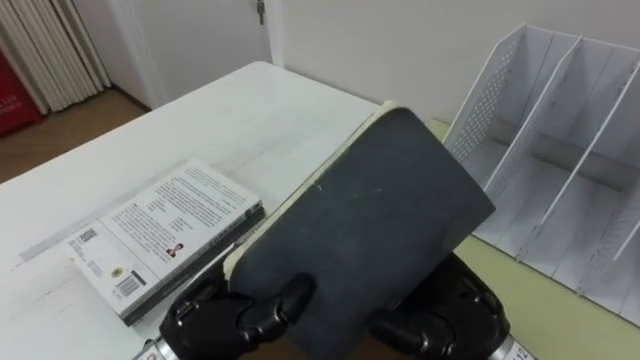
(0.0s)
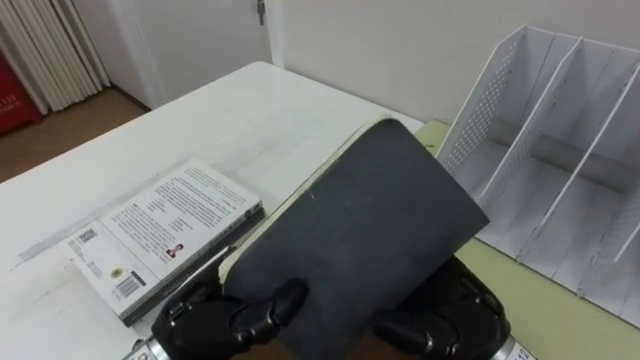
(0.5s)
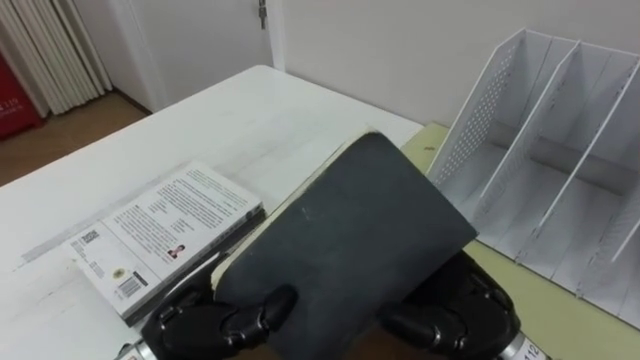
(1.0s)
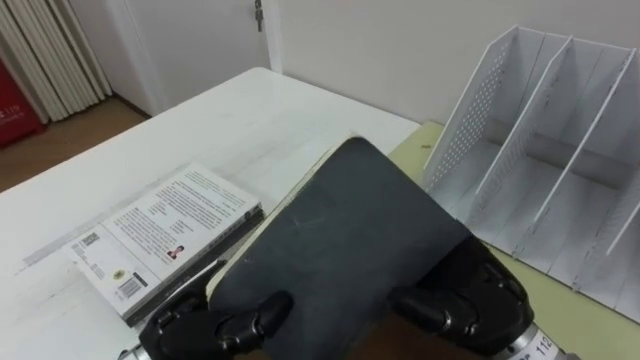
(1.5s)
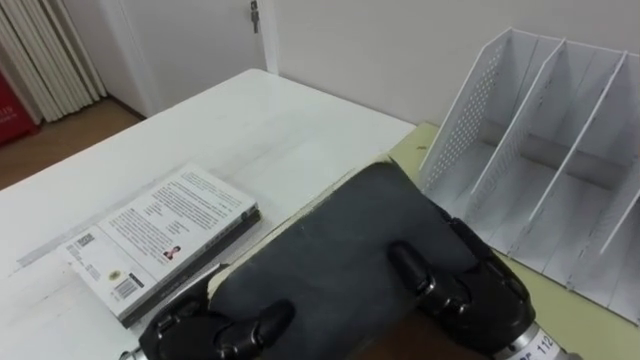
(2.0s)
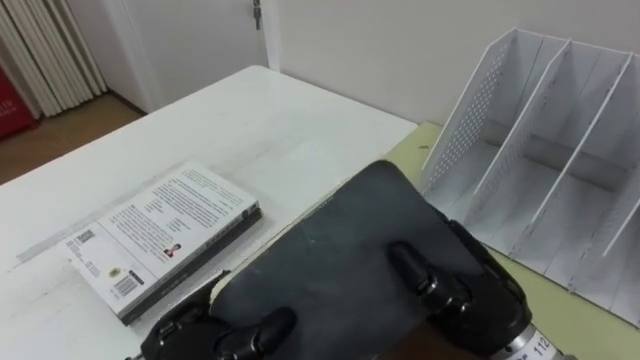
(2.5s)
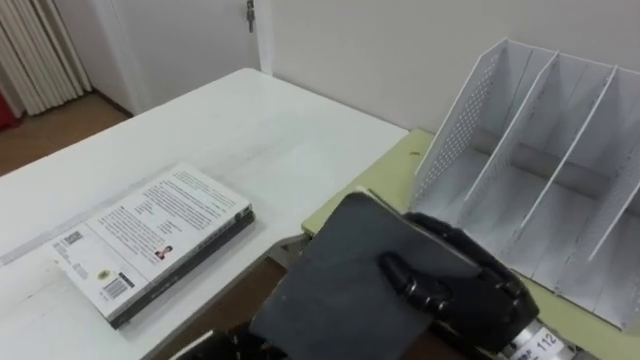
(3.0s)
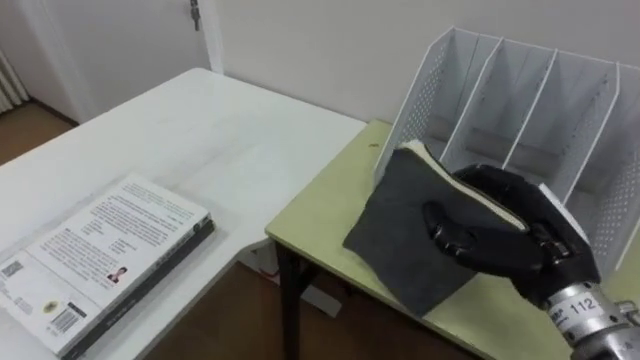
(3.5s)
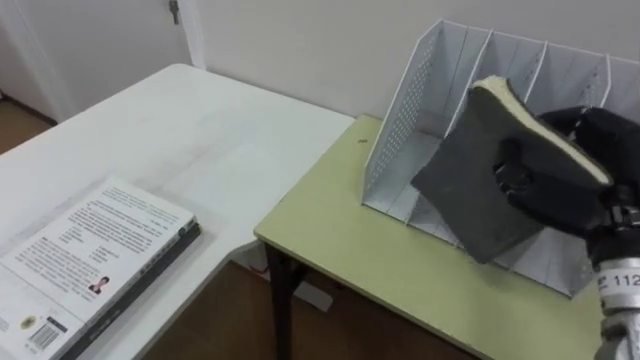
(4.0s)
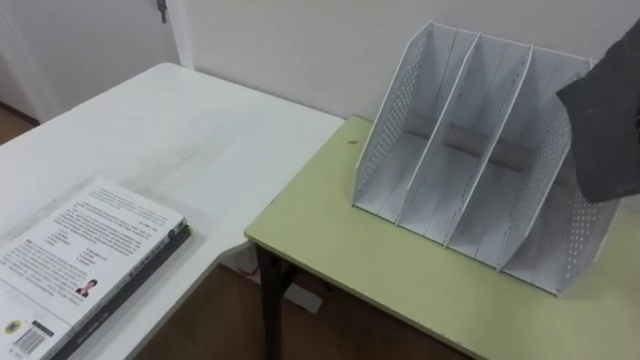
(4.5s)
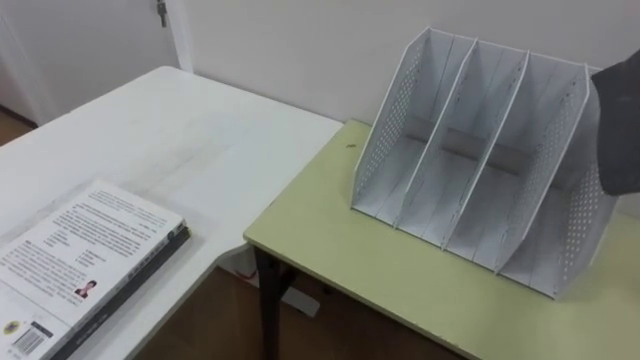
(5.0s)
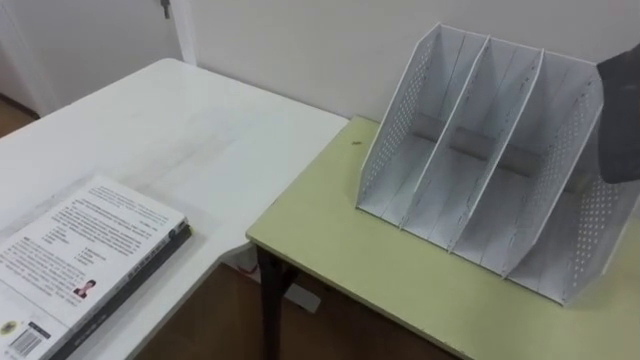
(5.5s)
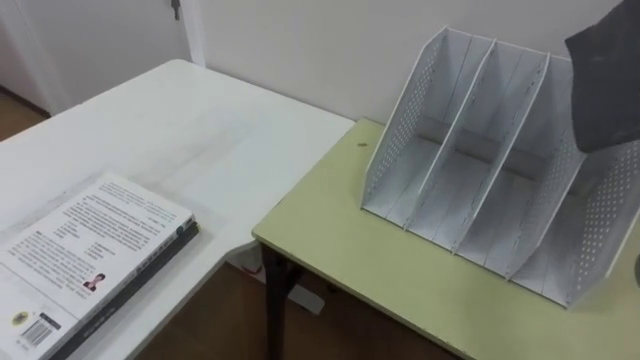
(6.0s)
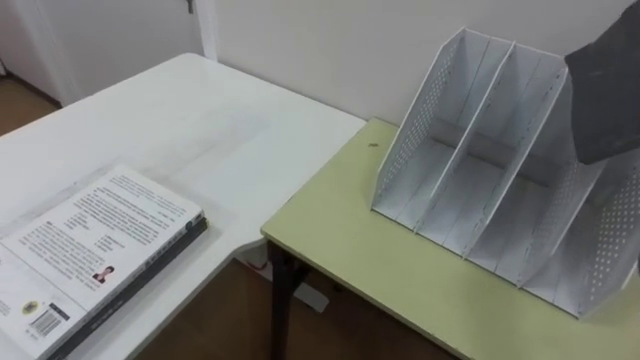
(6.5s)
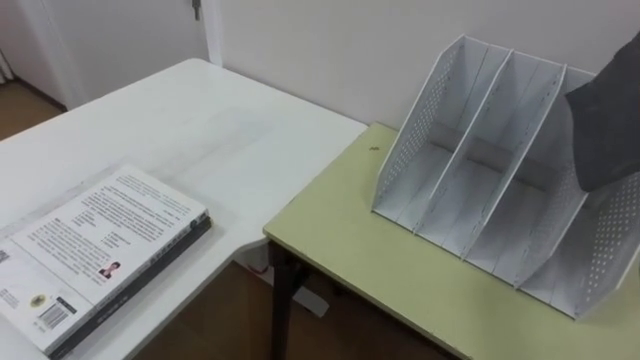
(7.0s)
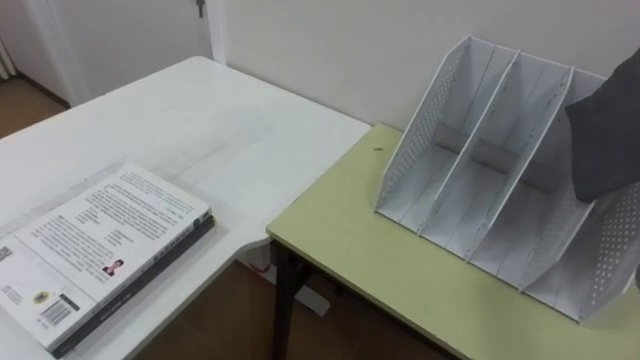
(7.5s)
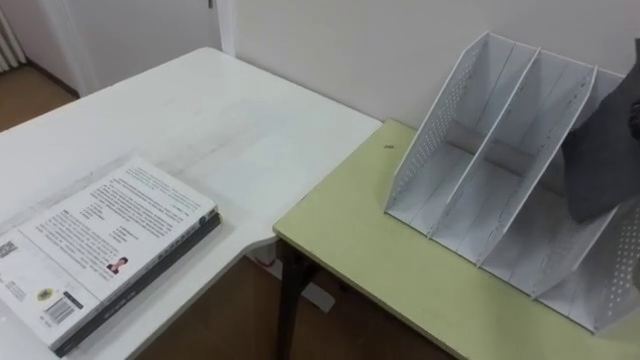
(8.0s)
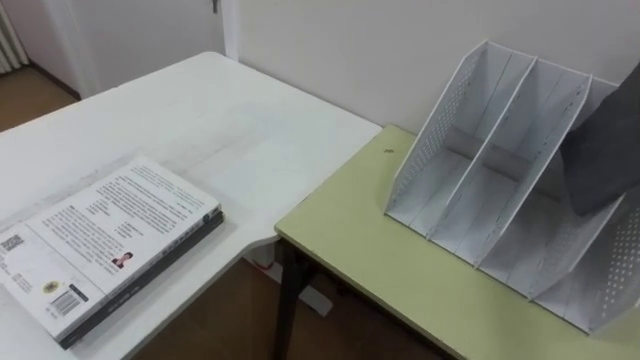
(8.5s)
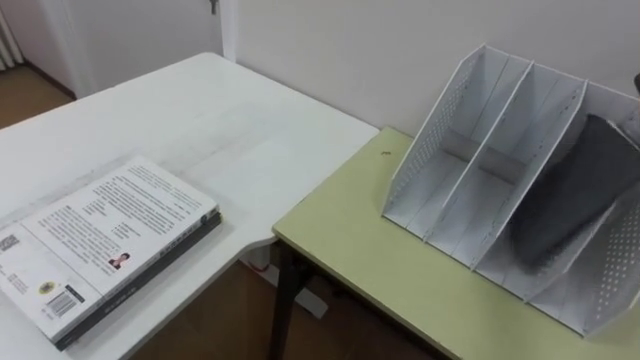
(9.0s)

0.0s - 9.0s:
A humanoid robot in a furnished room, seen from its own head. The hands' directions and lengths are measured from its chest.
Task of the whole recording: Put the books on the table onto the bookshelf.
0.0s - 2.0s: The right hand closes its fingers.

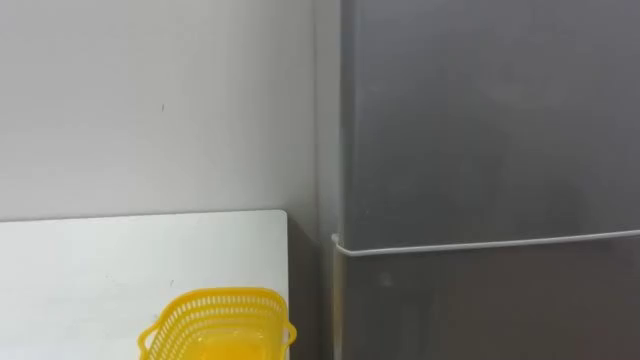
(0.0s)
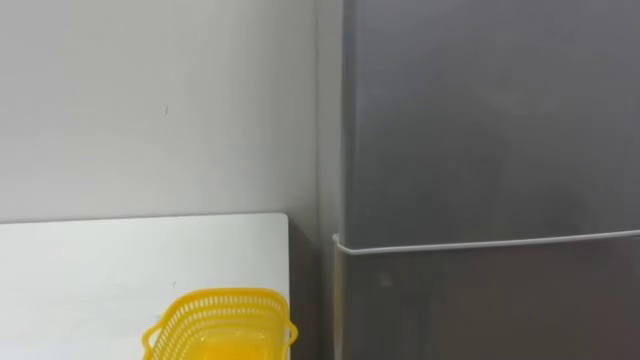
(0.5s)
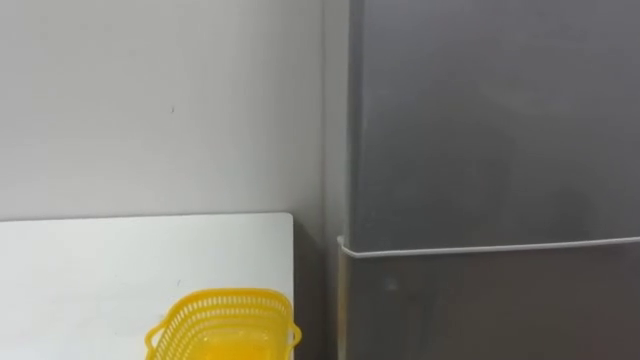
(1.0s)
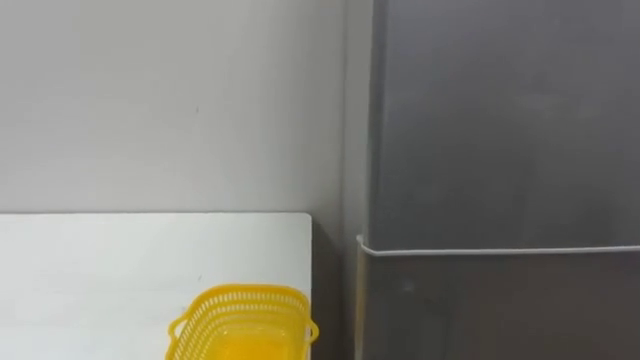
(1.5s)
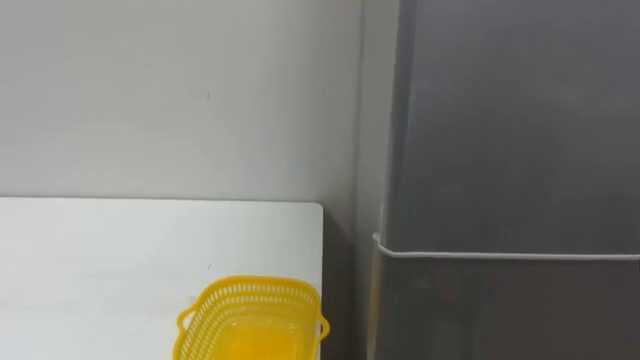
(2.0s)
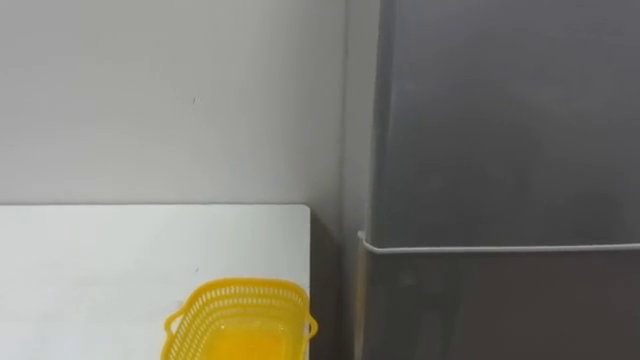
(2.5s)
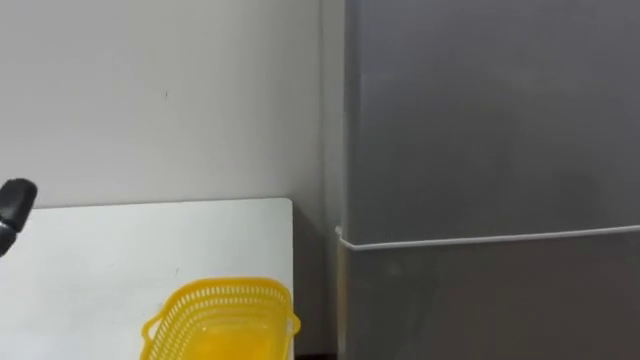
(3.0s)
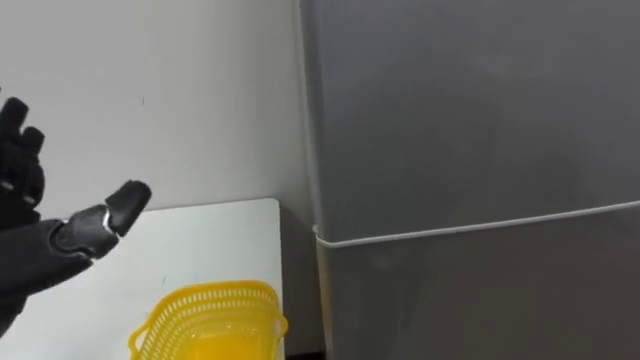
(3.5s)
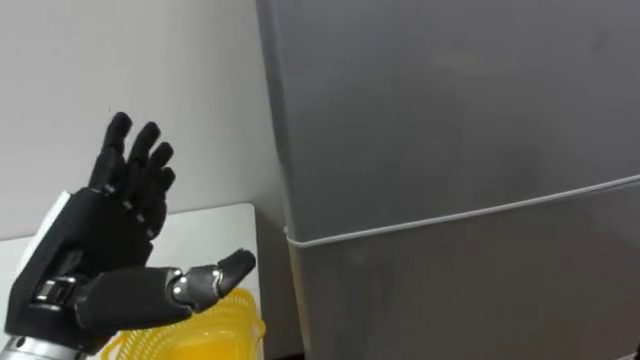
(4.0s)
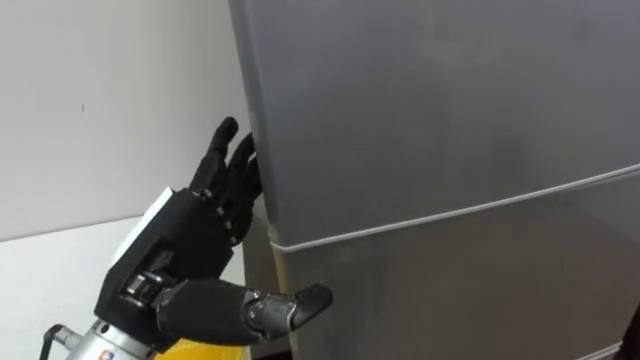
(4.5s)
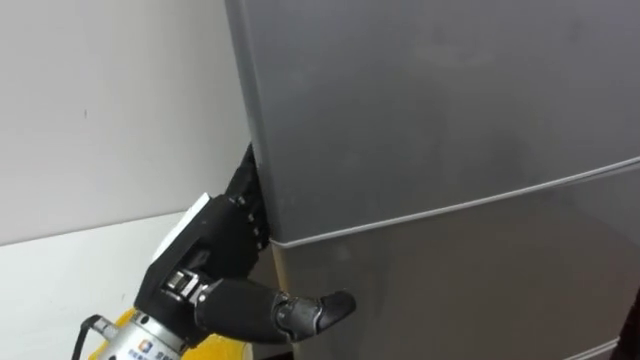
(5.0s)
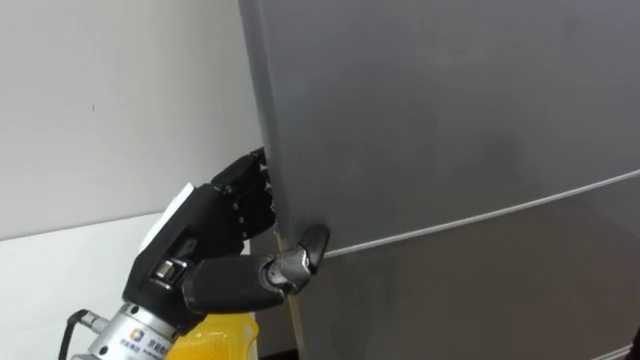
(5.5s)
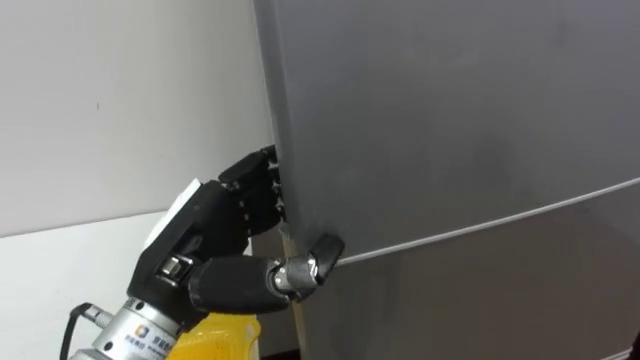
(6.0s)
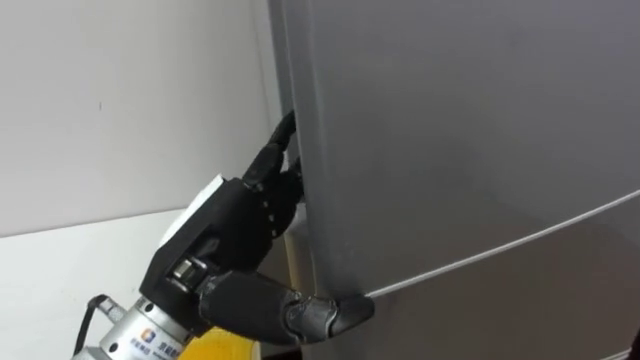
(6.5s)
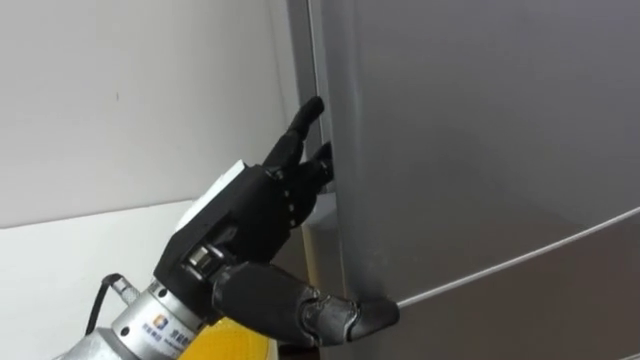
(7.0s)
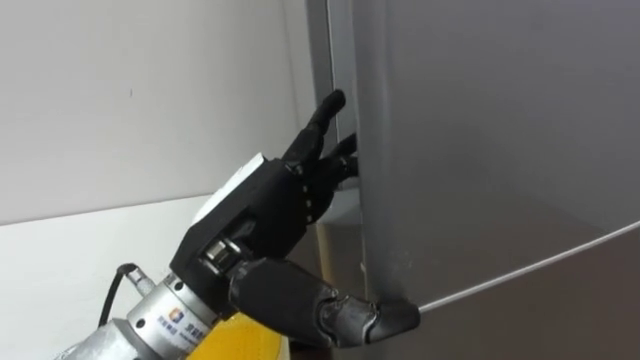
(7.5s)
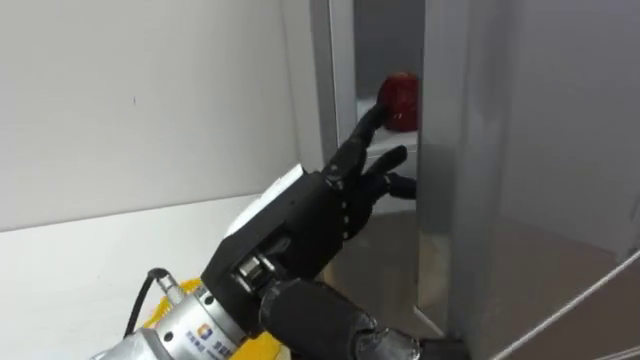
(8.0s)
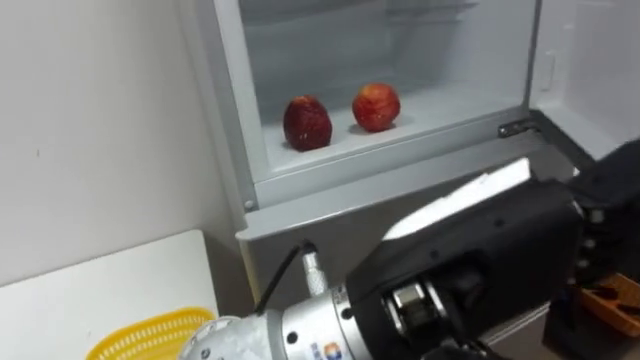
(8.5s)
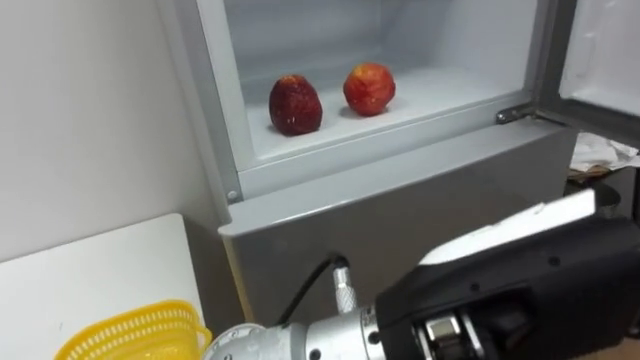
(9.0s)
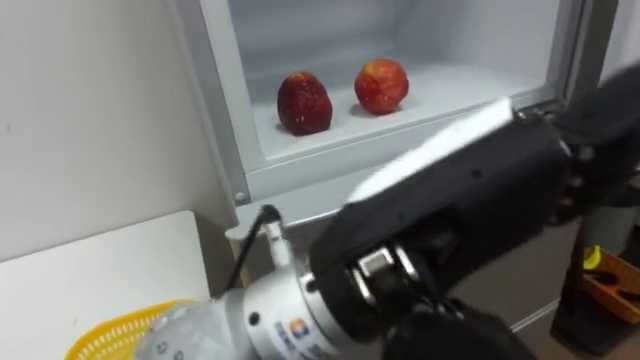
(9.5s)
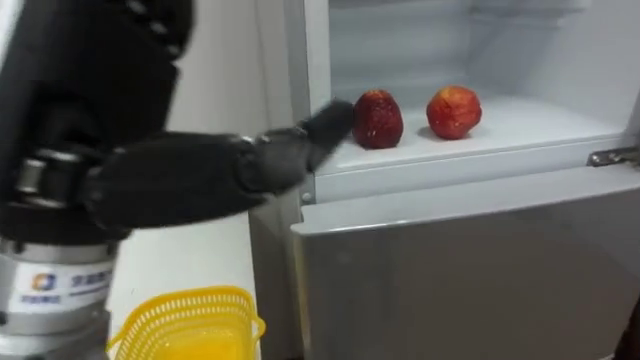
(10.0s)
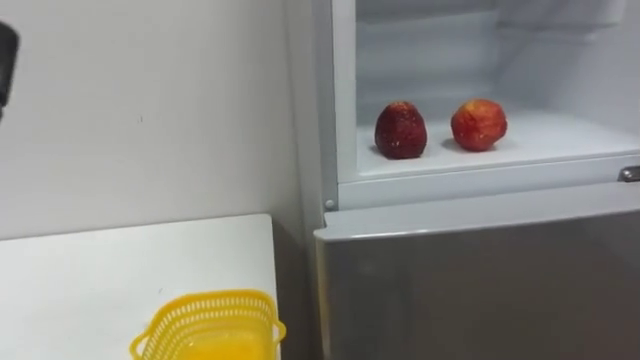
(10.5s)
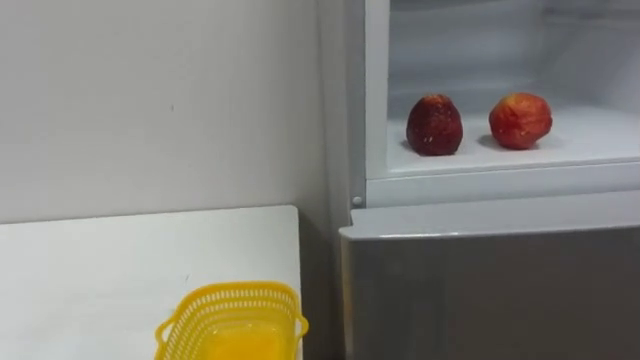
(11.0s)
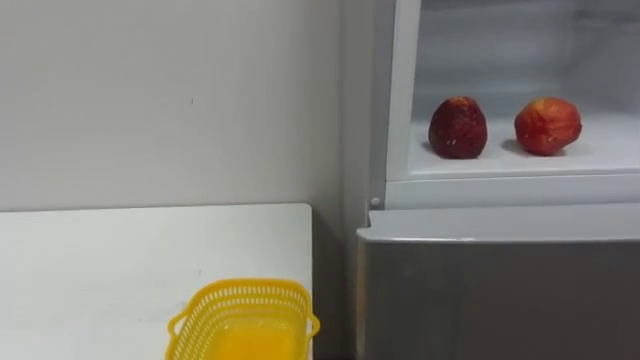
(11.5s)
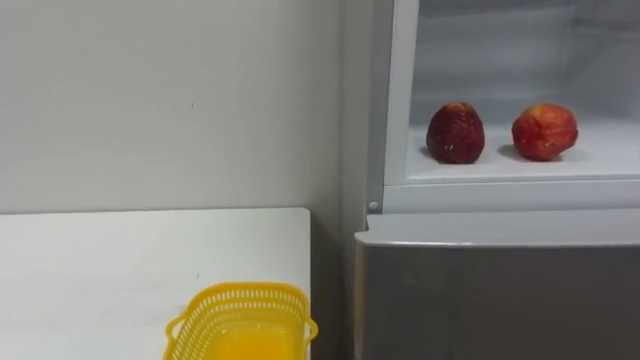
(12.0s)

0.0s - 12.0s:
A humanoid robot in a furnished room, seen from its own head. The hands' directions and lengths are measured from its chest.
Task of the whole recording: Open the refrigerator door, take out the apple and the pomegranate, place them in the fruit basket on the left, and close the refrigerator door.
4.0s - 6.0s: The left hand shifts approximately 10 cm to the right, and closes.
6.0s - 8.0s: The left hand travels to the right by some 10 cm, and opens its fingers.
8.0s - 10.0s: The left hand travels upward and to the left by approximately 15 cm.
